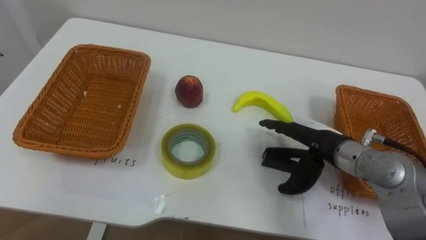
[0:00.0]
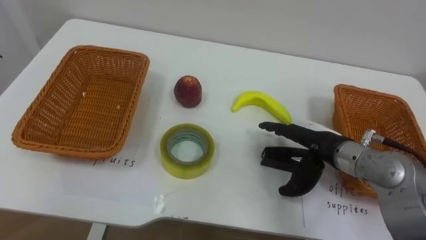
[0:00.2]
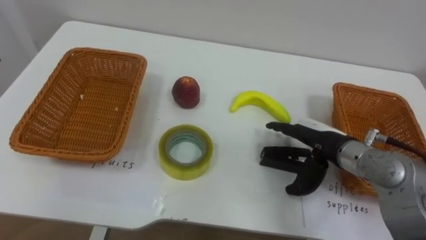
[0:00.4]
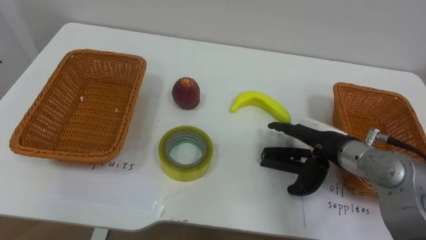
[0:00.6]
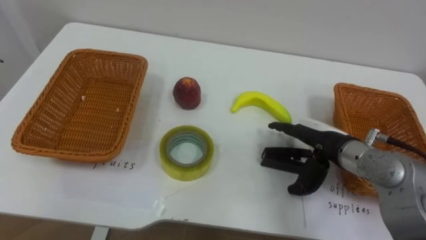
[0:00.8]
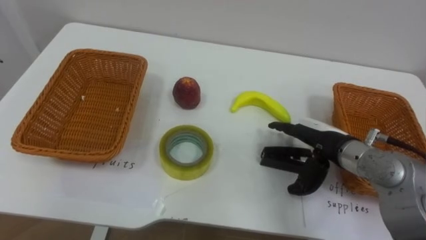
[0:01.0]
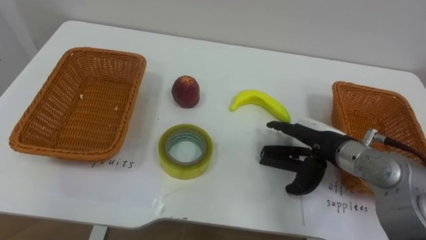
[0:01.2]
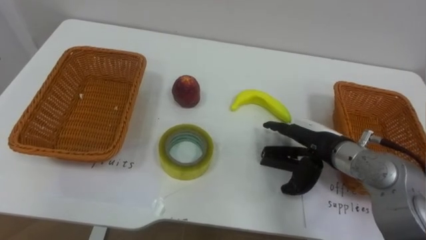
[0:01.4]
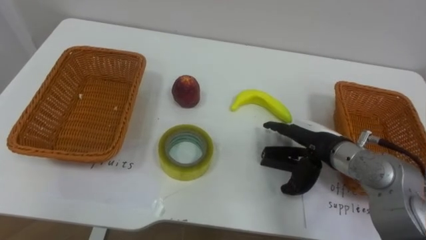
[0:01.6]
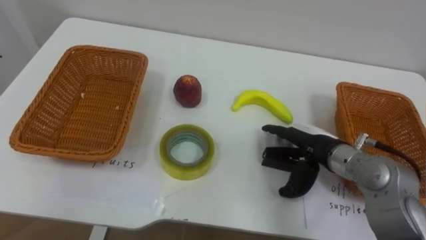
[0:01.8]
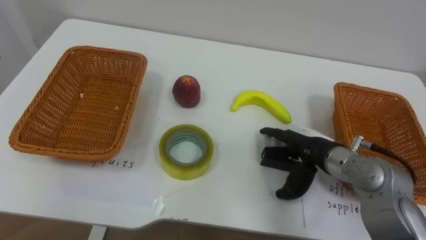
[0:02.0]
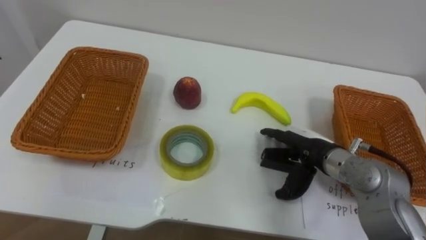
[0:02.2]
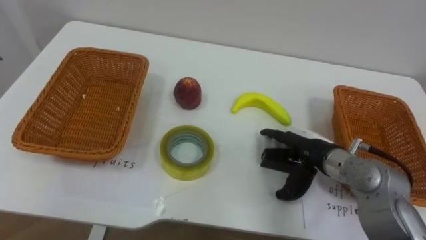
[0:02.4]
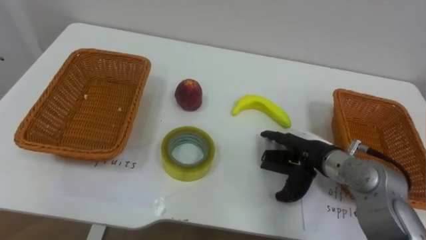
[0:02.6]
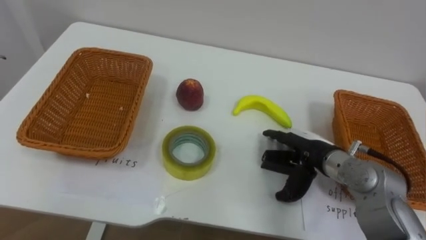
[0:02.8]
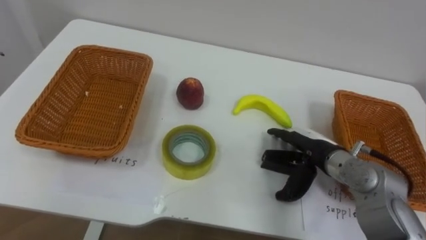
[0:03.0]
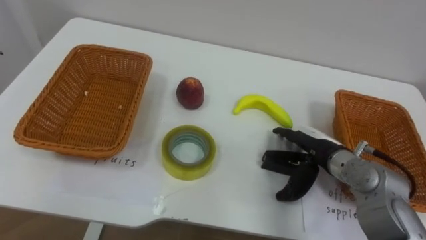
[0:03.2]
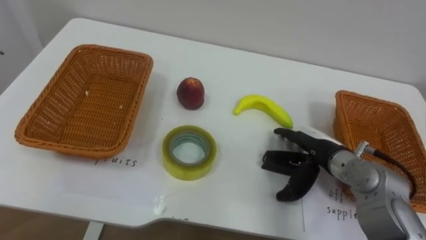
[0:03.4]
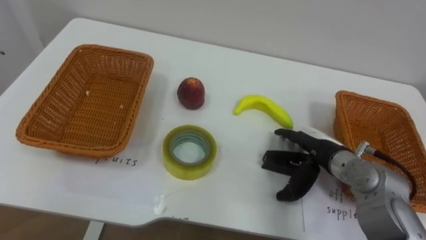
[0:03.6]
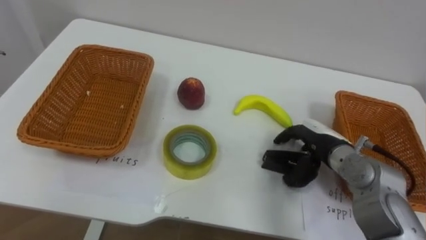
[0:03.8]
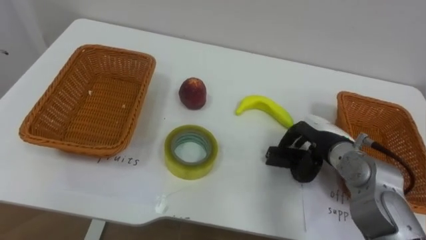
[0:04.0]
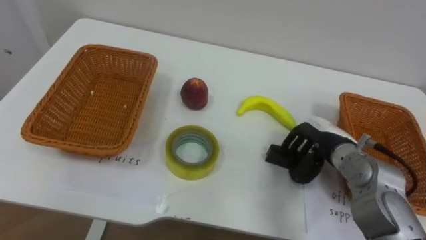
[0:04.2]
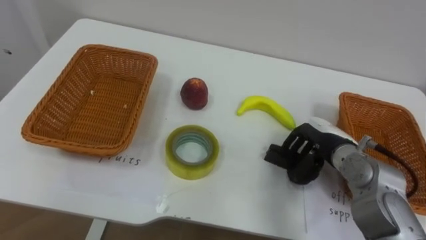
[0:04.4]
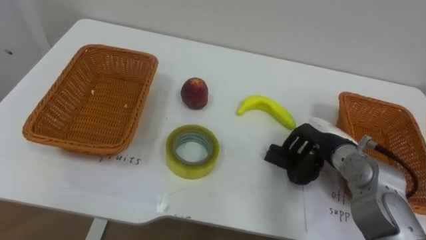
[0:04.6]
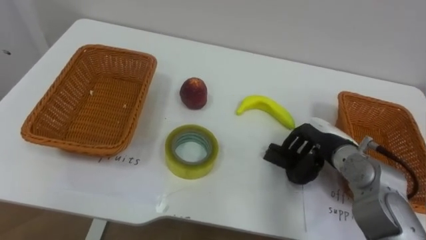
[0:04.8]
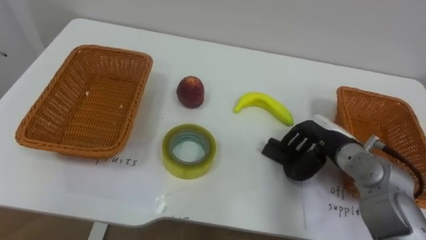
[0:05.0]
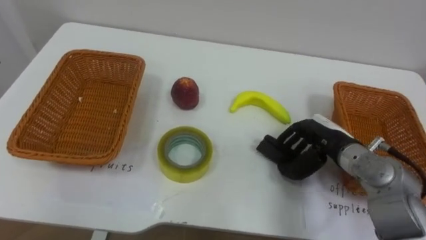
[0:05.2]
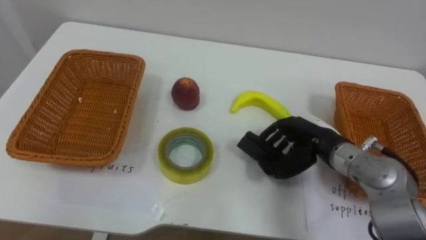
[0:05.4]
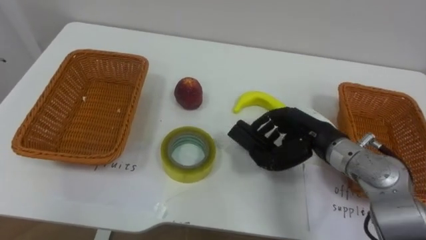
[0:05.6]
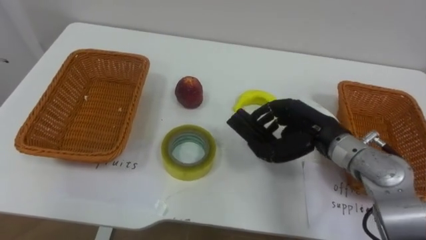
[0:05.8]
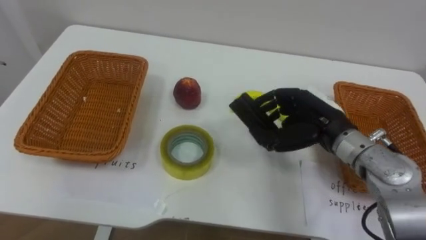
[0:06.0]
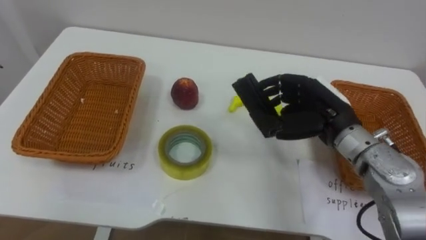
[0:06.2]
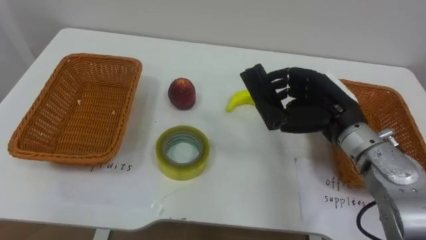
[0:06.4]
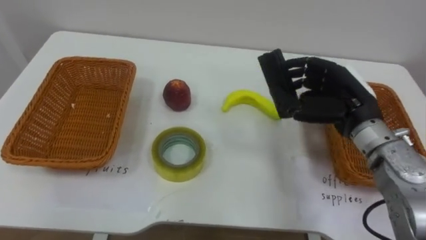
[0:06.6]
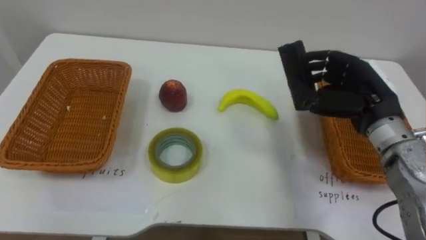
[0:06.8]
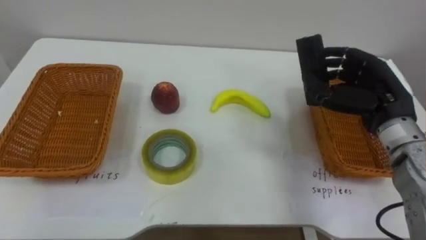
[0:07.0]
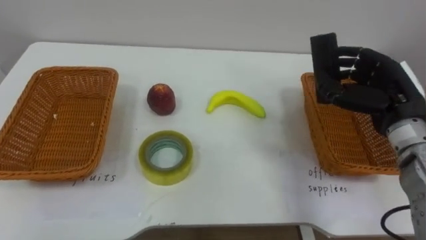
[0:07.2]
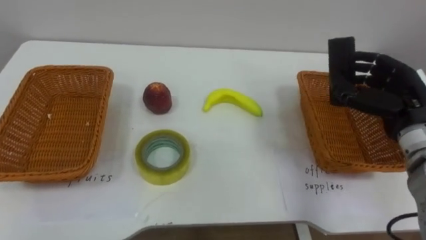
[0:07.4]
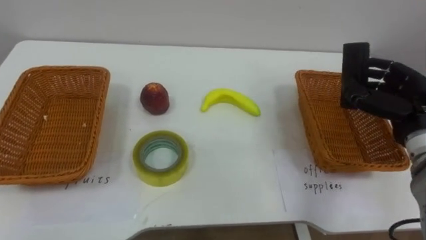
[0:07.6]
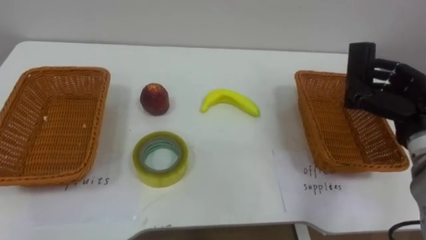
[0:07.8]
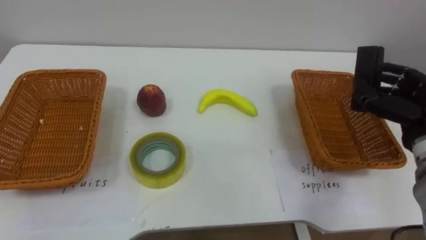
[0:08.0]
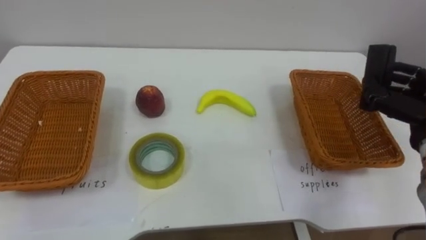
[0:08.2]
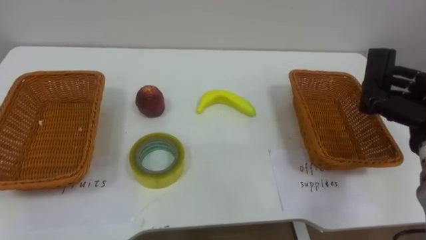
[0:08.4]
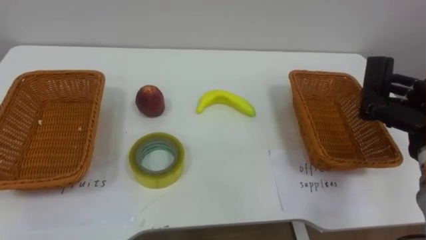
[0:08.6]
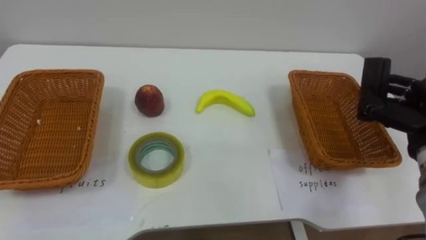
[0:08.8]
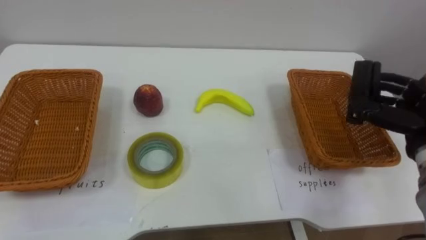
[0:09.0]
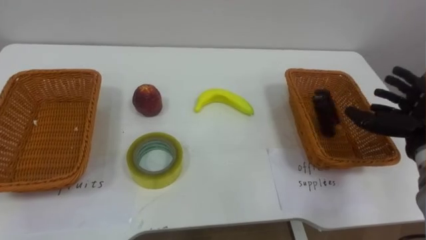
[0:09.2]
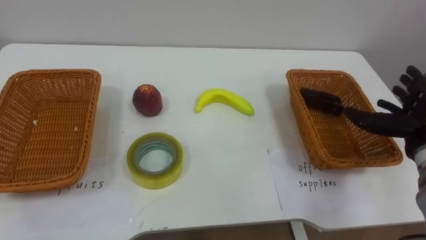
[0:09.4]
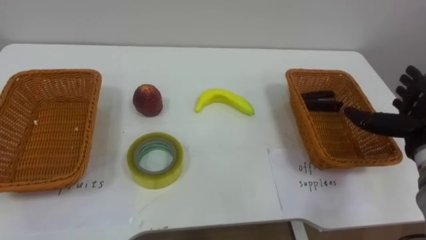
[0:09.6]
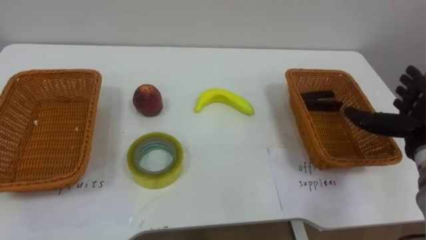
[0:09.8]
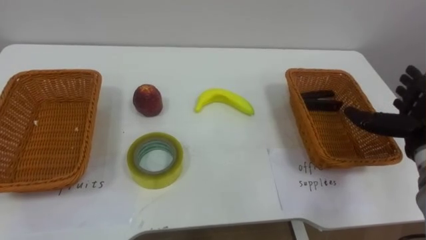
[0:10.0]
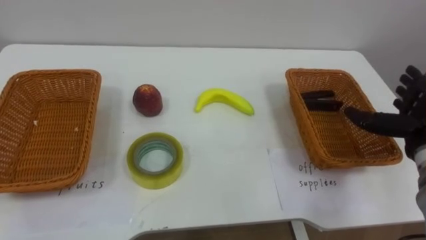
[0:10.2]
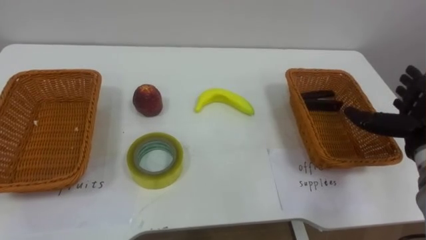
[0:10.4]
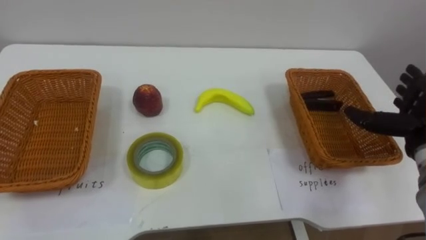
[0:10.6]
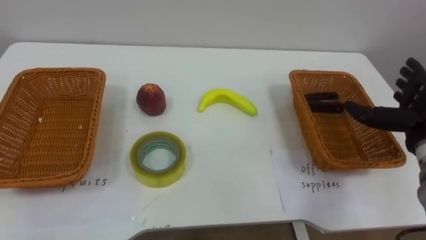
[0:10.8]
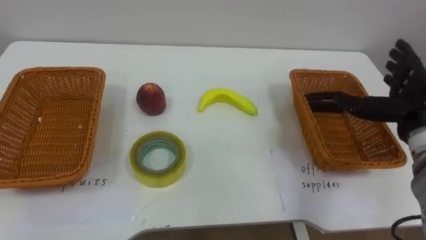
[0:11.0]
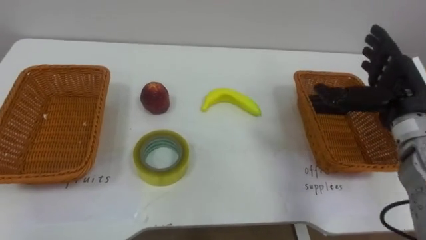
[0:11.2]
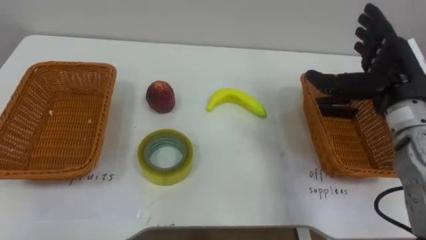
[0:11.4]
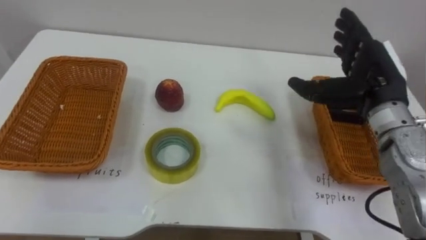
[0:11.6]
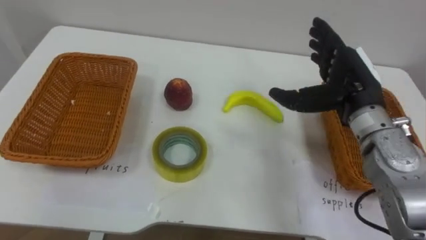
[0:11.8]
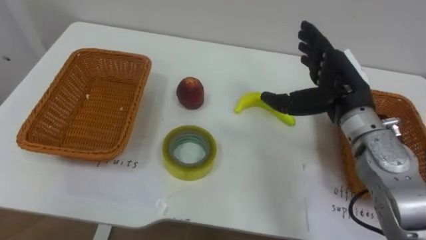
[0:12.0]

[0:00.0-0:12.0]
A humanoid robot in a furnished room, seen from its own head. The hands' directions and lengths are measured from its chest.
Task of the whole recording: Separate the items on the table and place them into the two baskets.
0:03.0 to 0:04.4: The right hand closes.
0:04.4 to 0:06.0: The right hand goes approximately 10 cm upward.
0:06.0 to 0:07.6: The right hand goes roughly 15 cm to the right.
0:09.0 to 0:10.4: The right hand opens up.
0:10.4 to 0:12.0: The right hand travels to the left and upward by about 15 cm.

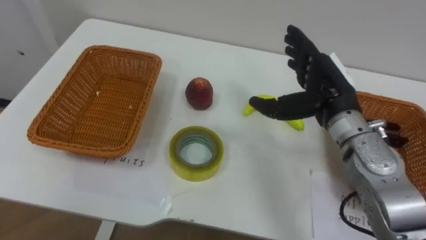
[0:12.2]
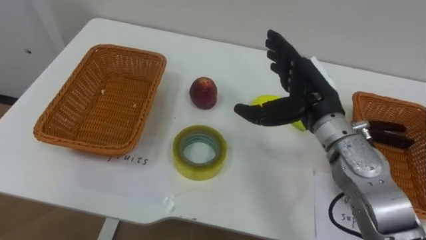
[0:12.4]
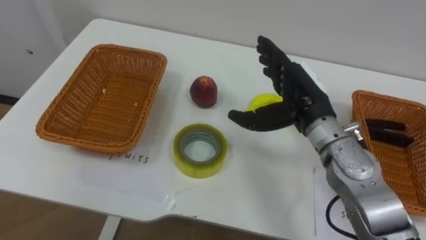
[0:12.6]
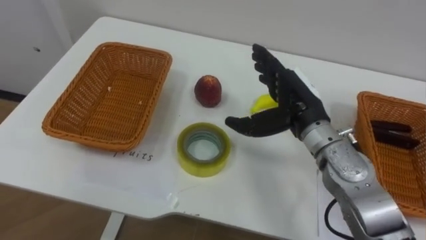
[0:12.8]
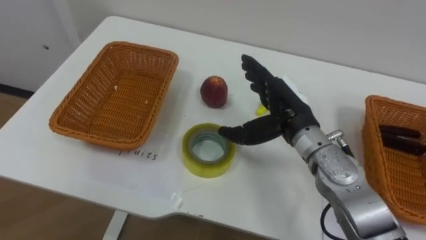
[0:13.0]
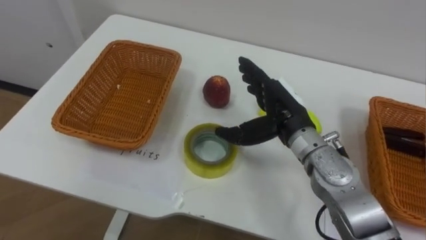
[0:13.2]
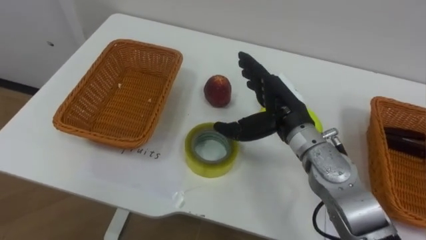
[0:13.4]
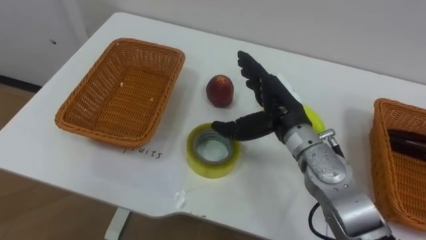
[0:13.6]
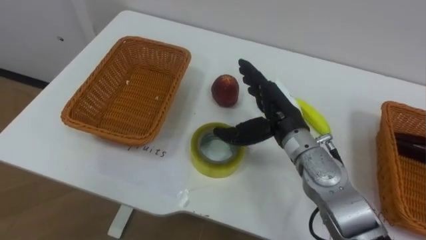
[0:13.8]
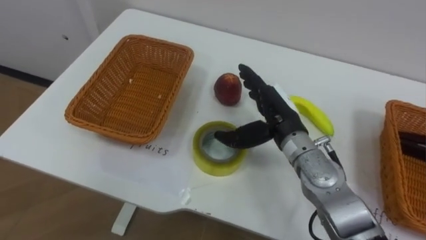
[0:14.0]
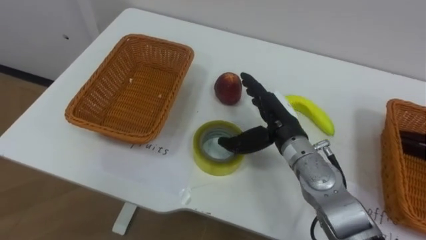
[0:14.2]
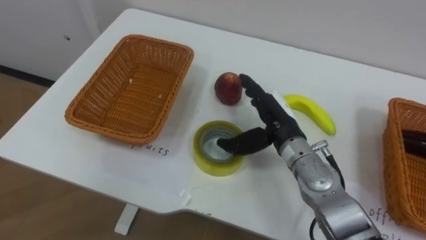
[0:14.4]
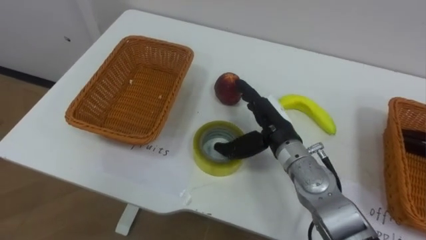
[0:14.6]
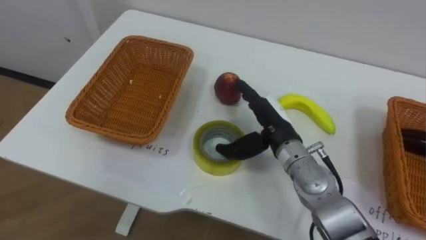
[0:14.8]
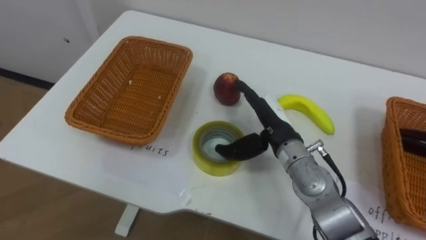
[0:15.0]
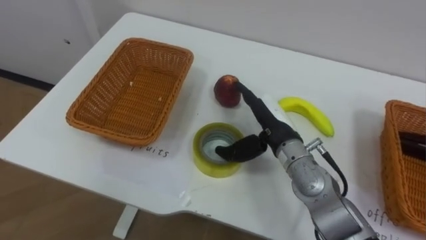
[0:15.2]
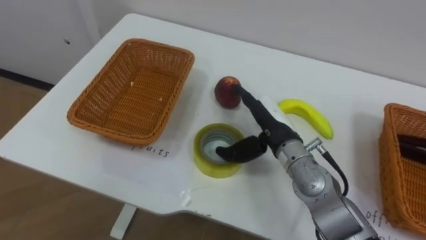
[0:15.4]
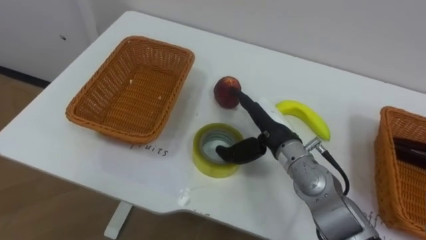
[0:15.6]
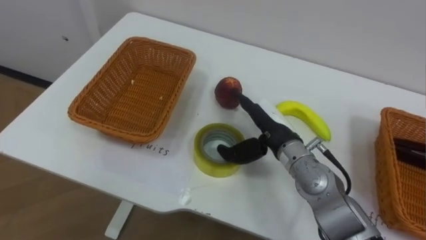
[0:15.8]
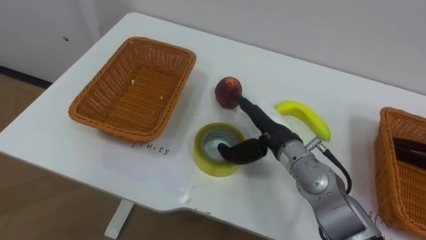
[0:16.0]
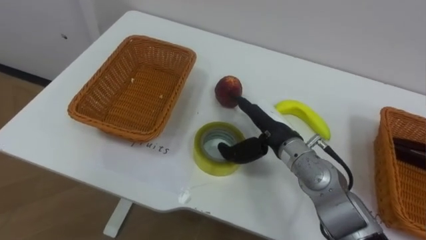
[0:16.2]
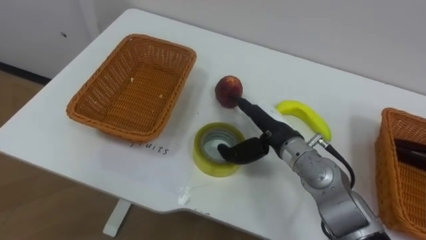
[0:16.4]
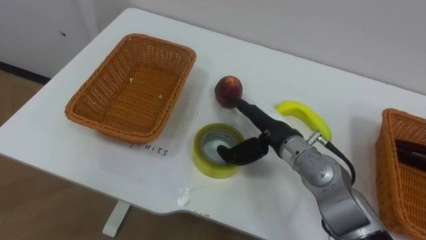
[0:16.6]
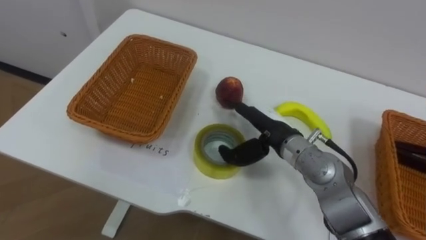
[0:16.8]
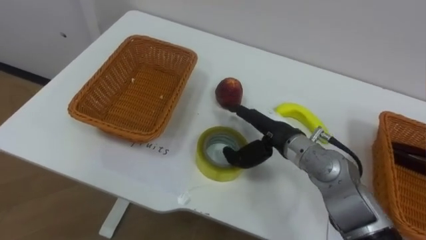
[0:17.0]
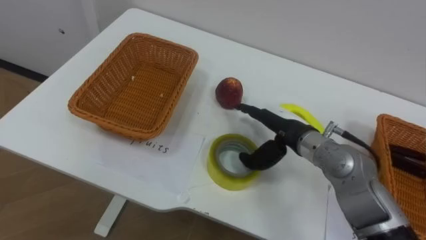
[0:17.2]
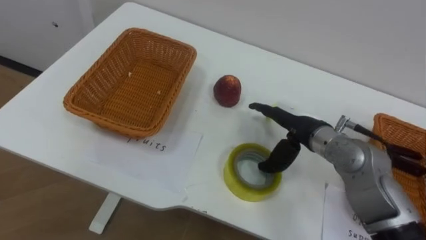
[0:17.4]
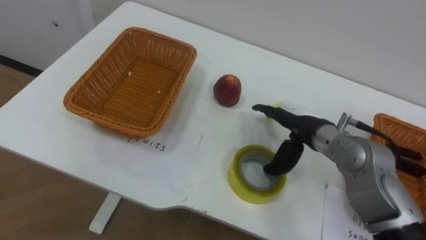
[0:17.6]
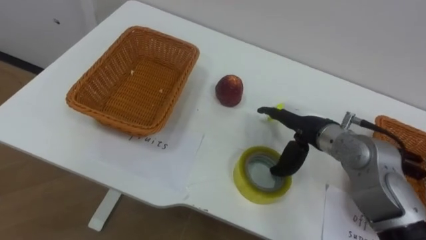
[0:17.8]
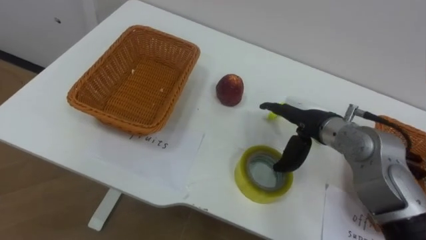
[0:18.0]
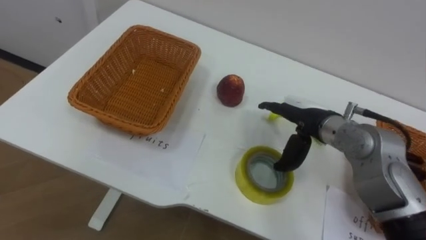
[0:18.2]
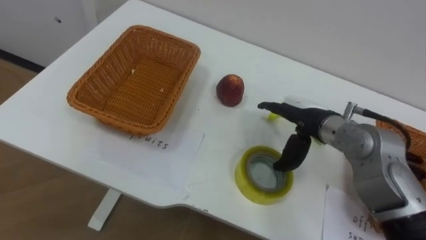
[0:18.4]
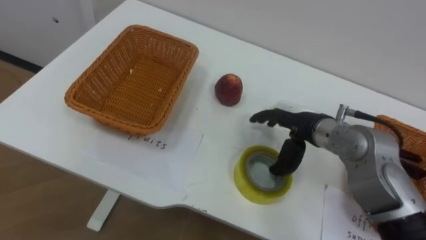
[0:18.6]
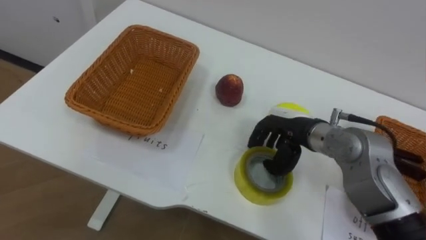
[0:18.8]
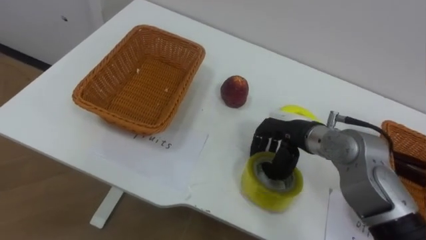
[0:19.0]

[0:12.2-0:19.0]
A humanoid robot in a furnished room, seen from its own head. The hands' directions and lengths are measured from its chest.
Task of the whole recording: Separate the items on the table and place them into the two baskets.
0:12.2 to 0:13.6: The right hand shifts about 5 cm to the left.
0:16.2 to 0:17.6: The right hand moves to the right, some 5 cm.
0:17.6 to 0:19.0: The right hand closes up.
